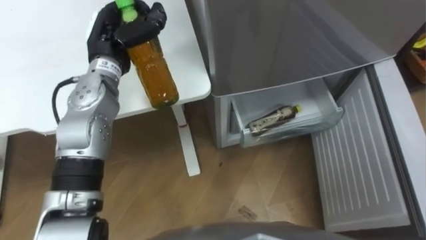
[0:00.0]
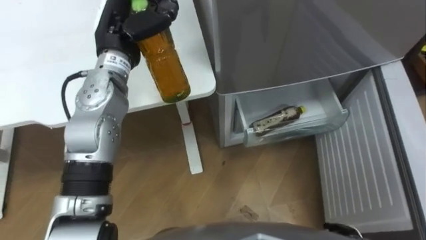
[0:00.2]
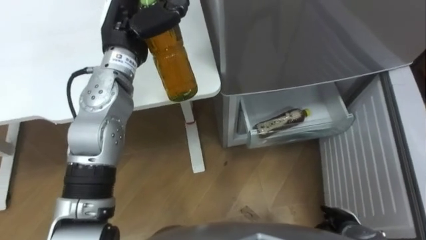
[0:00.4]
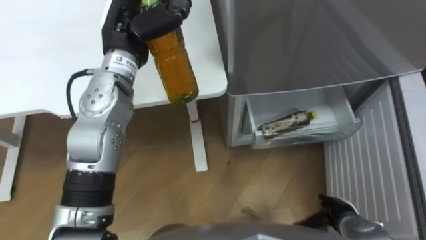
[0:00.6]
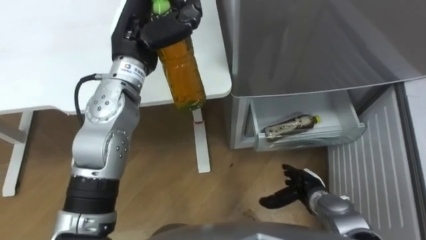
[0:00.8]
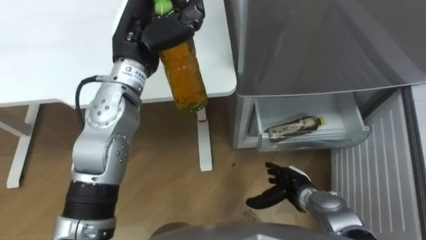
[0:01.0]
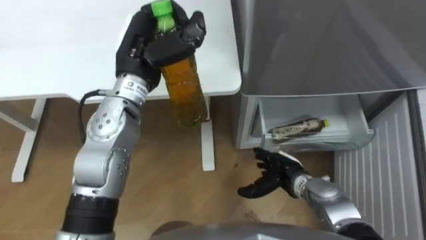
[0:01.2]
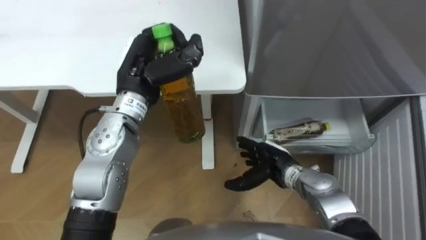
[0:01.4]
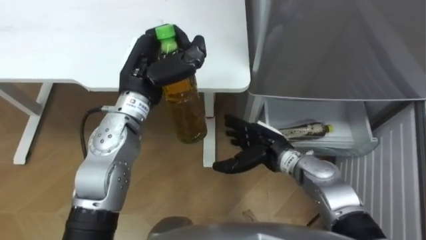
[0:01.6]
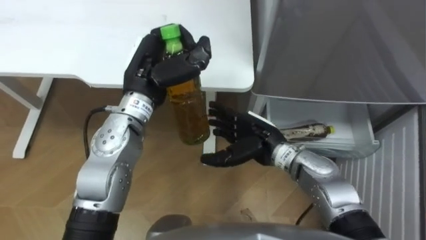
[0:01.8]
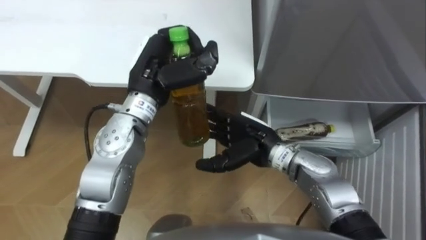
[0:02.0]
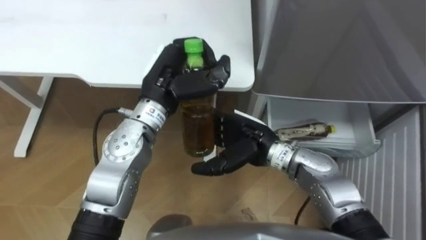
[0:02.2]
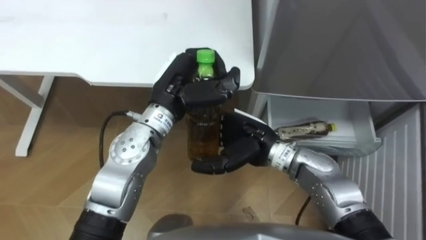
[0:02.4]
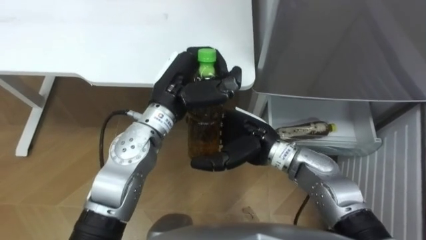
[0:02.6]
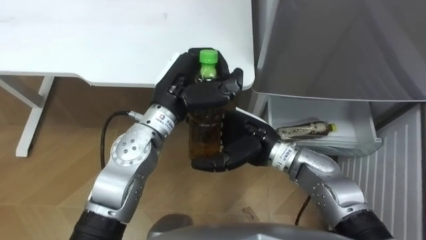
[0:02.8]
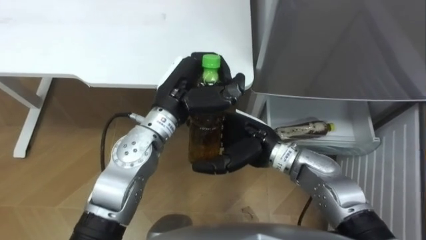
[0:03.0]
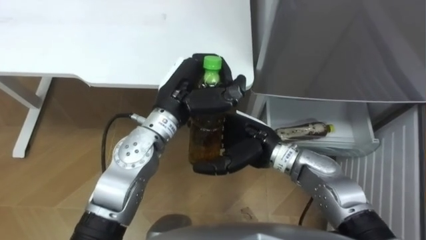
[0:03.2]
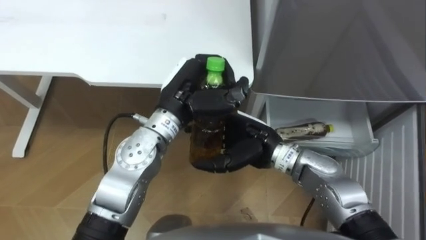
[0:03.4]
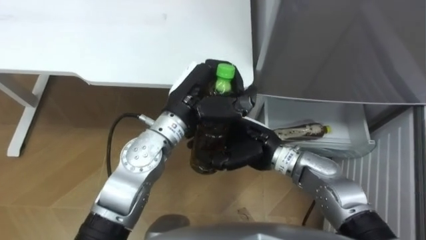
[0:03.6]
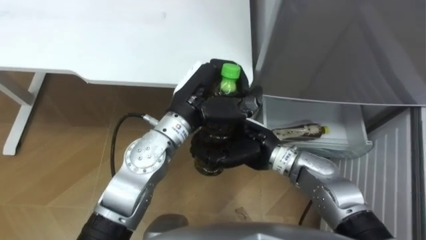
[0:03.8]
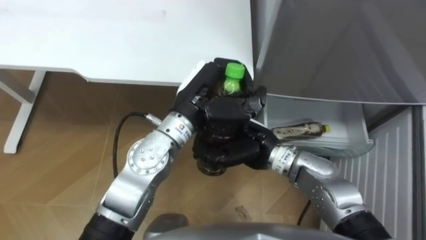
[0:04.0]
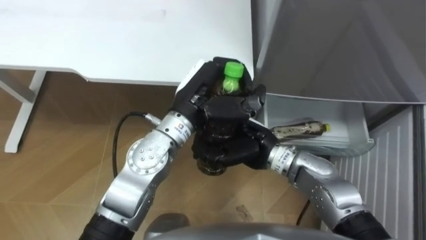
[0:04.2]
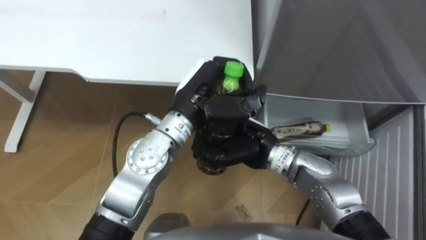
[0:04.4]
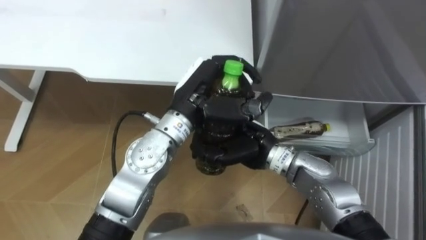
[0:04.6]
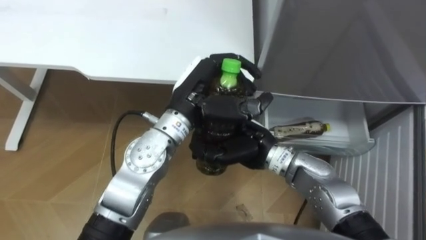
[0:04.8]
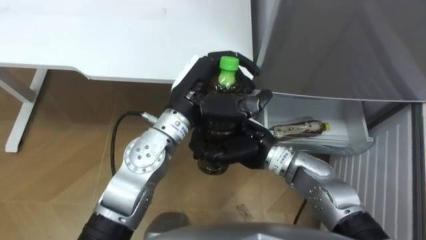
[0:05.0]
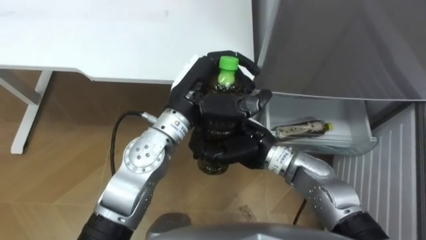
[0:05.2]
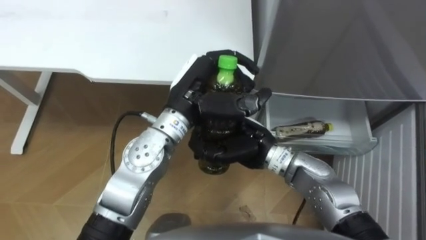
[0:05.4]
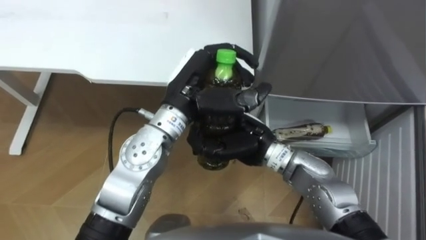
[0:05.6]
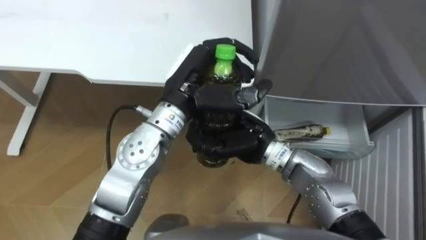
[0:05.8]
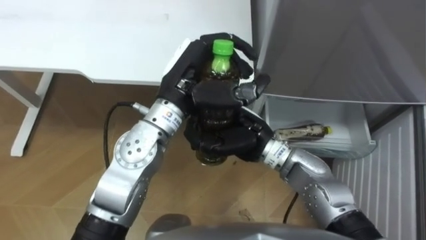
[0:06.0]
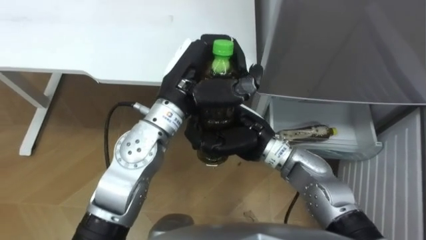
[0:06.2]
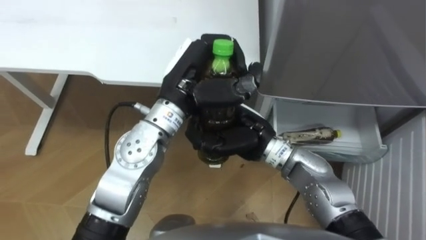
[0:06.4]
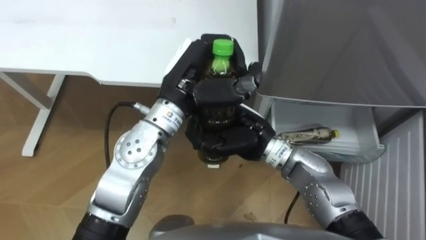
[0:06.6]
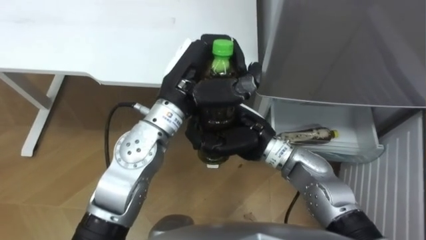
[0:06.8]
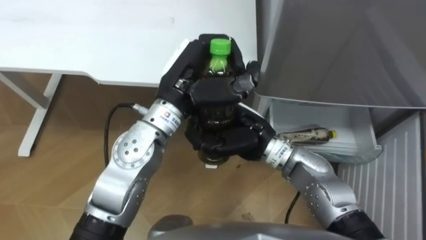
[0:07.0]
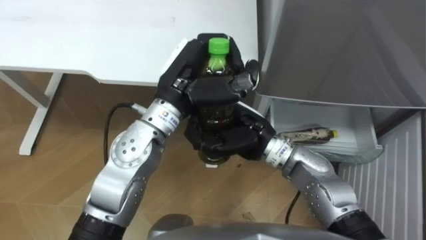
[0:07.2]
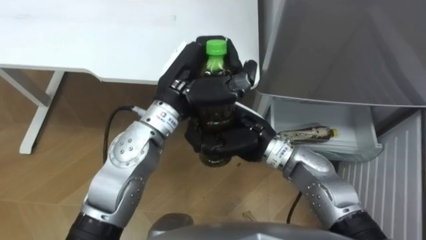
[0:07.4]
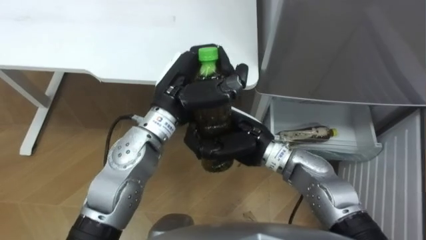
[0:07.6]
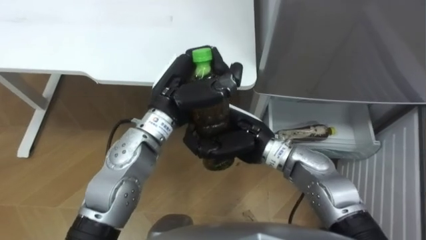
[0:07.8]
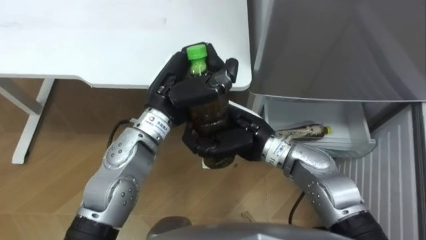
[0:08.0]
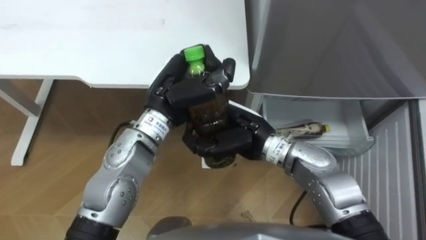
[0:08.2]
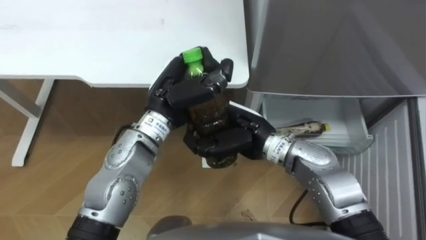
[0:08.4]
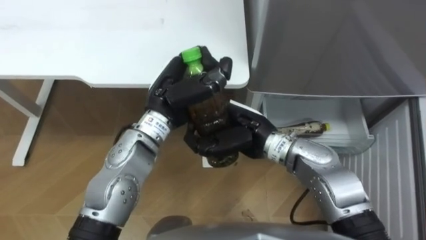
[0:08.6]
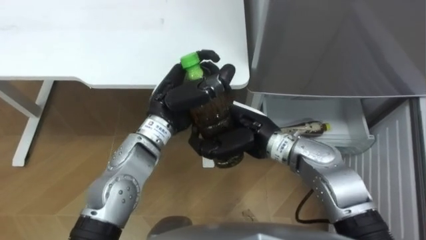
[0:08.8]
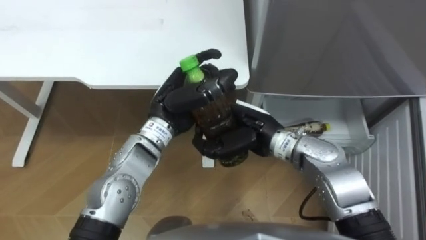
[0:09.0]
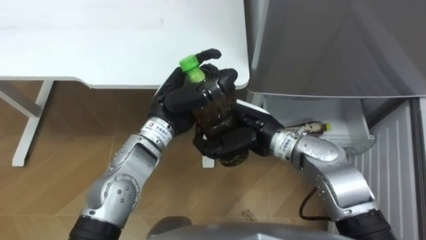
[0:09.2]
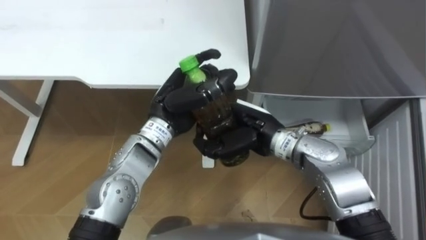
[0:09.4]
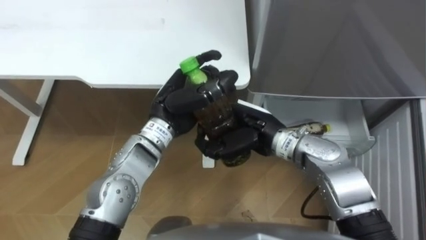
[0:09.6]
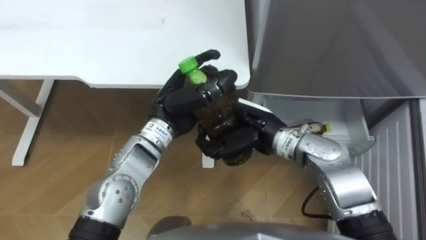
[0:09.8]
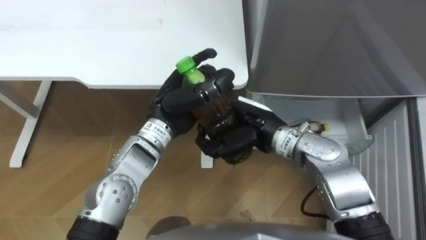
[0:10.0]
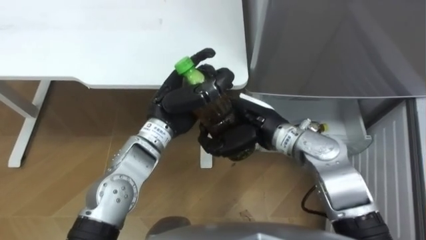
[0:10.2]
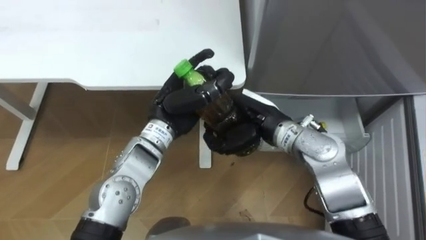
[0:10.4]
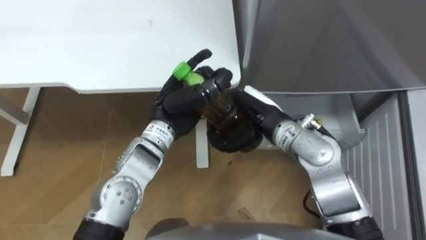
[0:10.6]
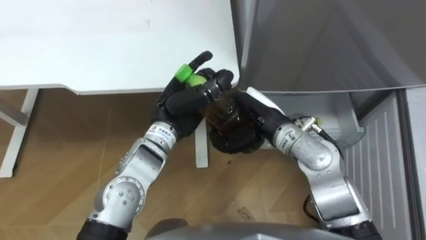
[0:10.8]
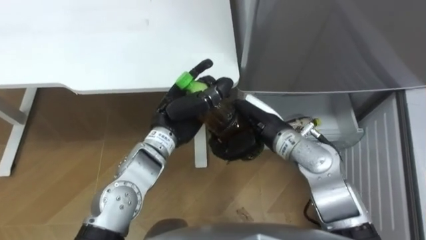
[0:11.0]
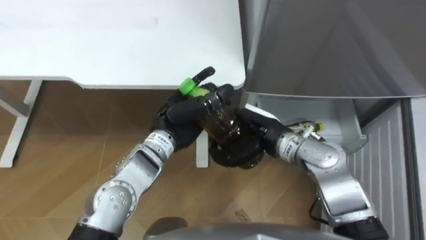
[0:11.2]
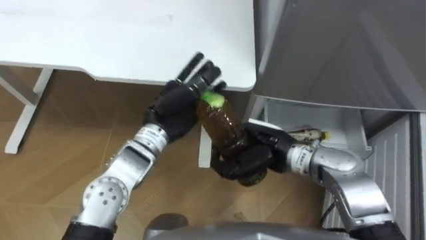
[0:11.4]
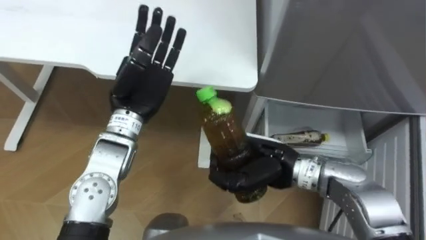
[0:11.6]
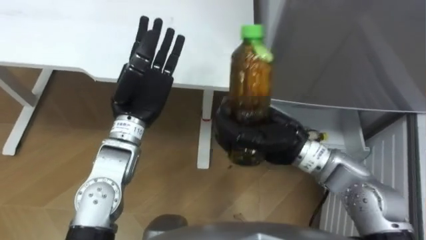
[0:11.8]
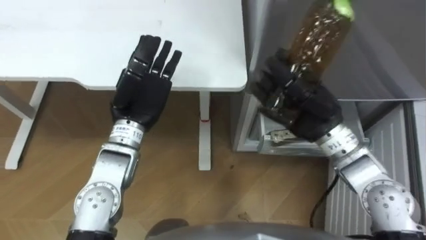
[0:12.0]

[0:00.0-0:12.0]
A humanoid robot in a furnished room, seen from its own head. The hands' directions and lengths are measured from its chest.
Task of the whole recording: Place the drink on the table on the bottom shelf of the refrigerator, then close the drawer and the refrigerator door.
0:00.0 to 0:01.6: The left hand heads to the right and backward, covering about 10 cm.
0:01.6 to 0:03.0: The left hand heads to the right, covering some 5 cm. Meanwhile the right hand shifts about 5 cm upward.
0:03.0 to 0:04.4: The right hand closes.
0:04.4 to 0:06.0: The hands move only a little.
0:10.4 to 0:12.0: The left hand heads to the left, covering approximately 5 cm, and opens its fingers, while the right hand is displaced upward and to the right by some 10 cm.

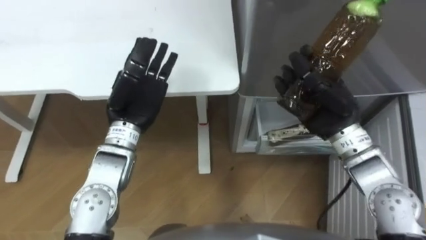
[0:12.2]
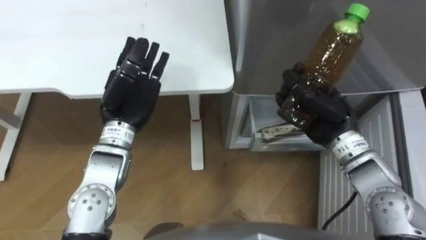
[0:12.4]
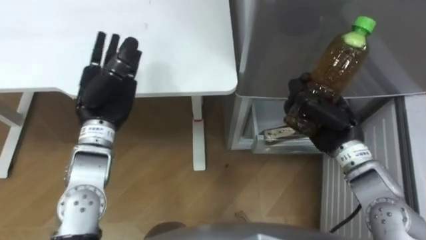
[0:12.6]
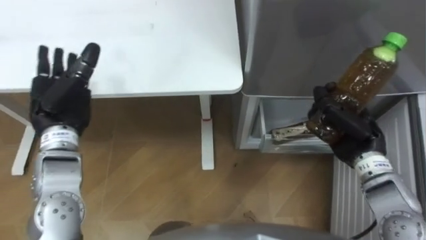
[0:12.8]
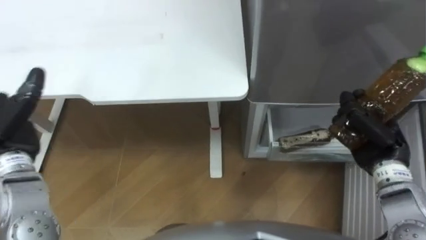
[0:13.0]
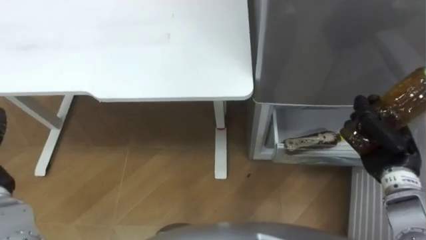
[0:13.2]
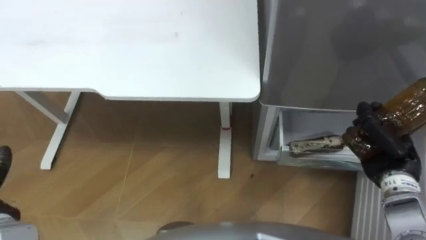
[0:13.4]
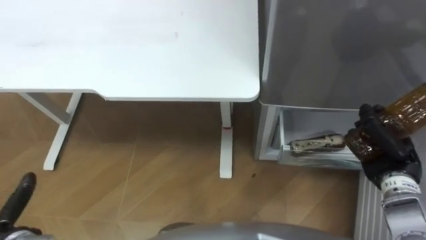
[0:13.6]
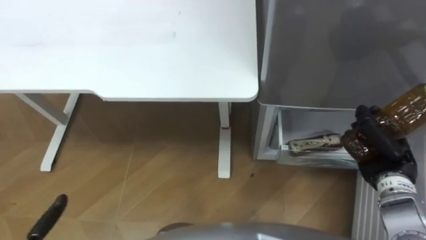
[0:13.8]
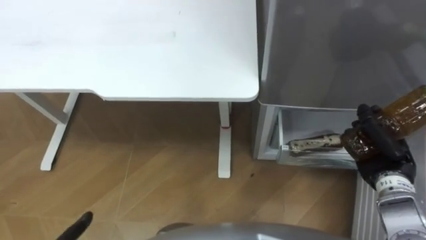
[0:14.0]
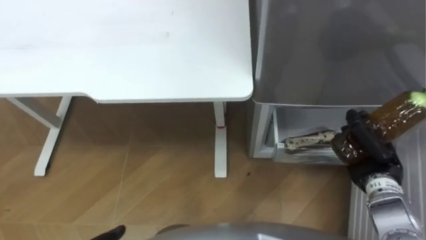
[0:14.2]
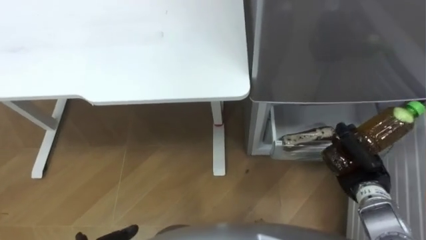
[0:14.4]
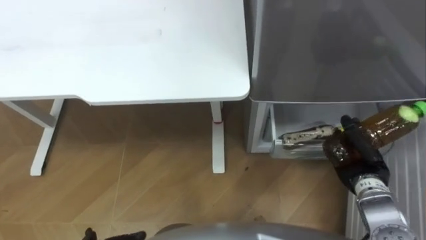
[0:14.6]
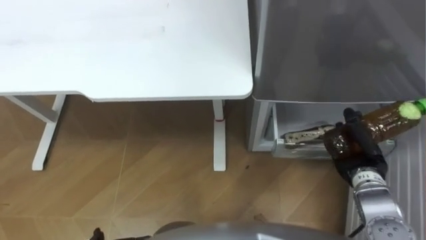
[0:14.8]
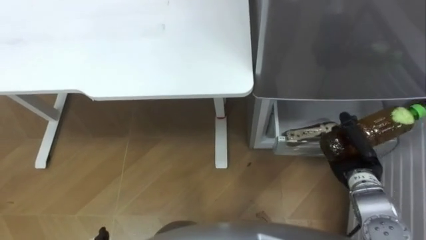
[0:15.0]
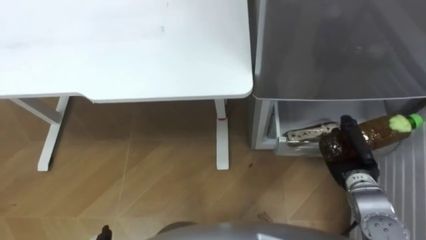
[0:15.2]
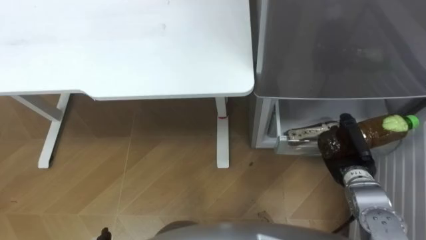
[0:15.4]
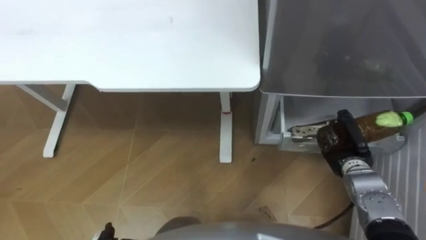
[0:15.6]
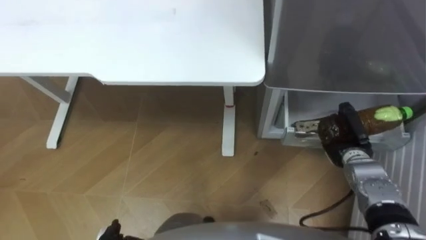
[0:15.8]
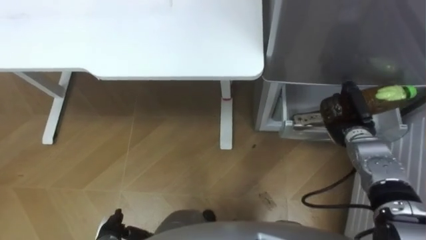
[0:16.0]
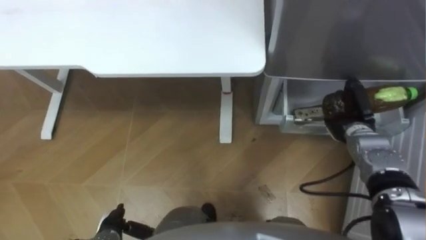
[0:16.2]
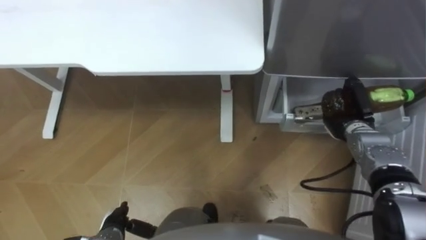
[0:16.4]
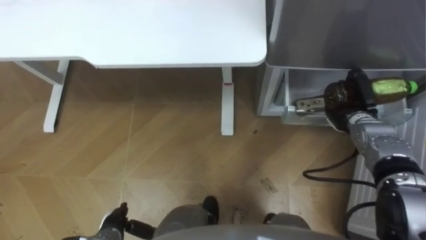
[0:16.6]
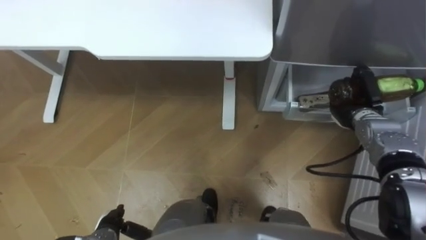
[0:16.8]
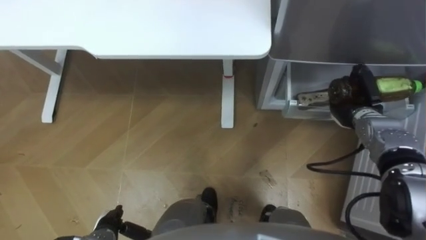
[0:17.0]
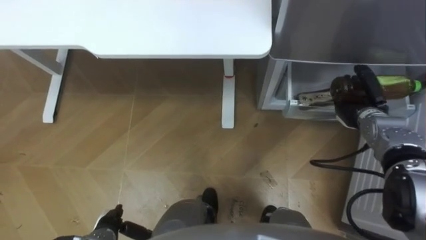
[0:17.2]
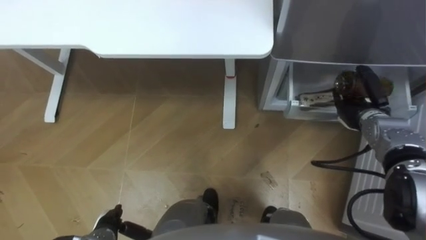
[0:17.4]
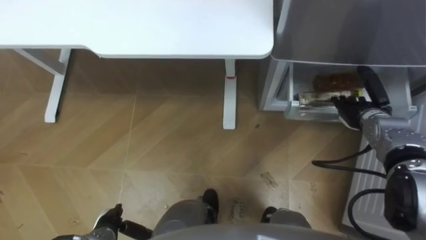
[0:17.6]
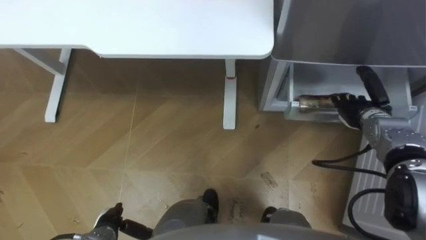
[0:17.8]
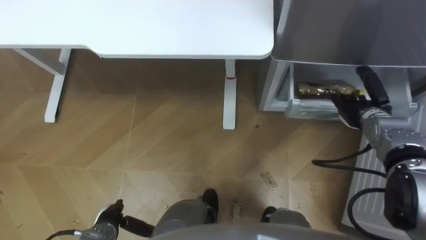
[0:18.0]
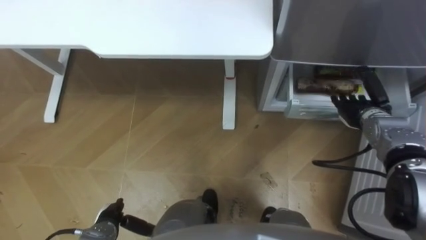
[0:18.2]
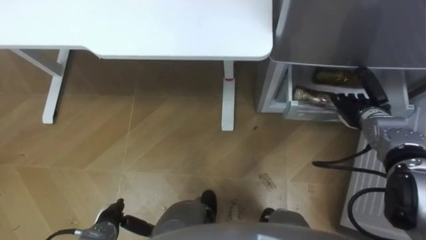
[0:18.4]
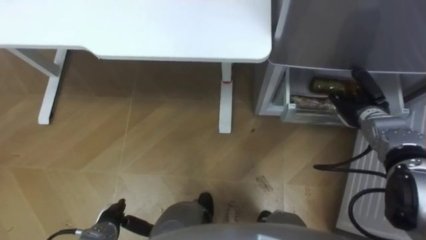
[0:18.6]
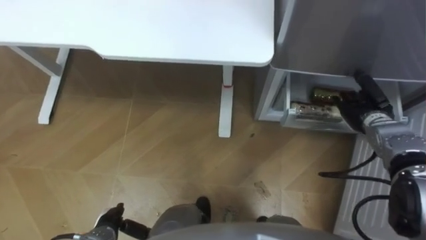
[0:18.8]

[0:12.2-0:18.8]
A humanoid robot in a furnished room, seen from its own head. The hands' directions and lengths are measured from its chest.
Task of the whole recording: Place the drink on the table on the bottom shelf of the refrigerator, then close the drawer and the refrigerator door.
0:12.2 to 0:13.8: The right hand is displaced to the right, downward and backward by roughly 20 cm.
0:13.8 to 0:15.4: The right hand is displaced downward by some 5 cm.
0:15.4 to 0:17.2: The right hand heads forward, covering some 10 cm, and opens.
